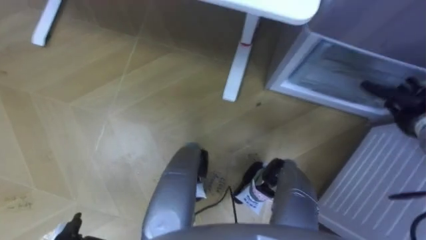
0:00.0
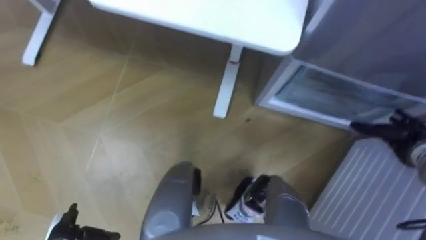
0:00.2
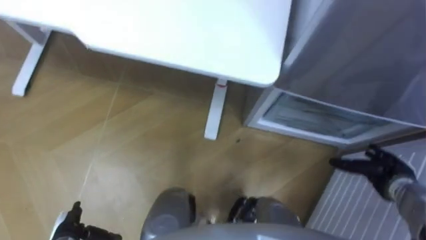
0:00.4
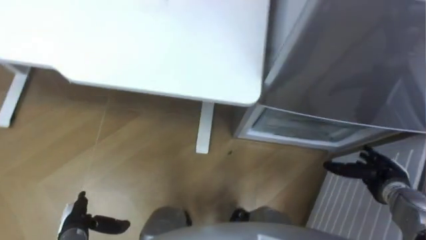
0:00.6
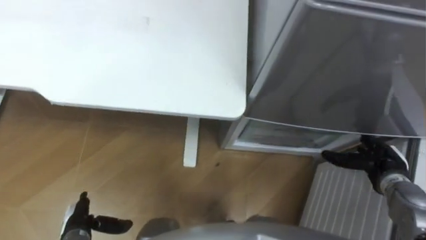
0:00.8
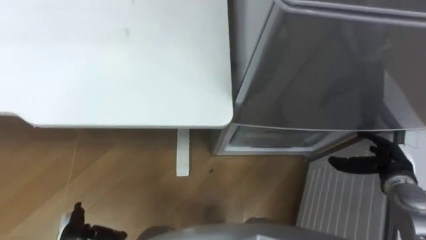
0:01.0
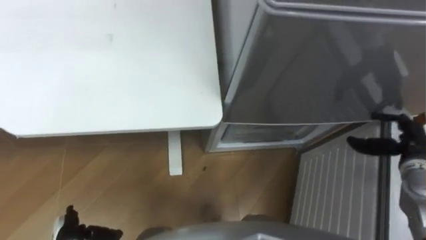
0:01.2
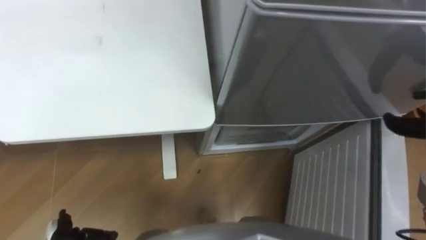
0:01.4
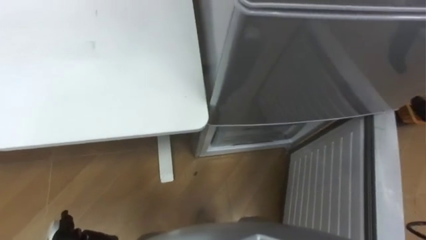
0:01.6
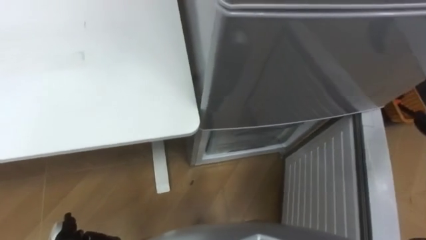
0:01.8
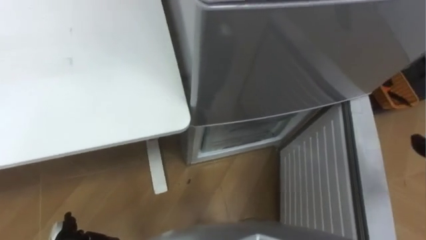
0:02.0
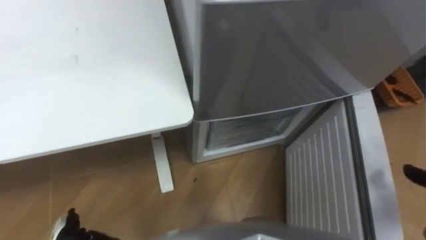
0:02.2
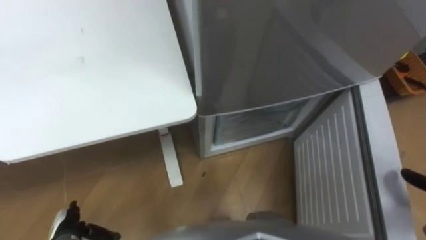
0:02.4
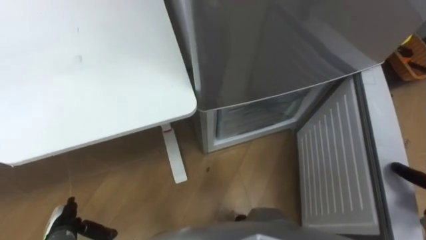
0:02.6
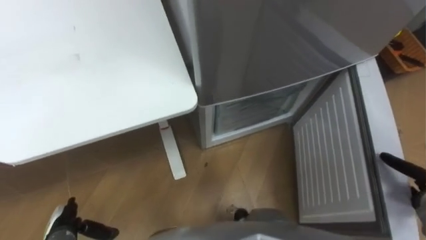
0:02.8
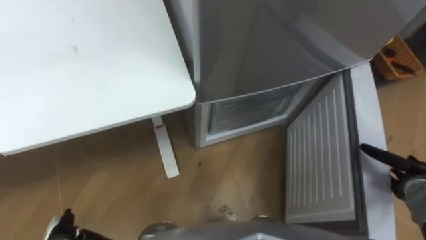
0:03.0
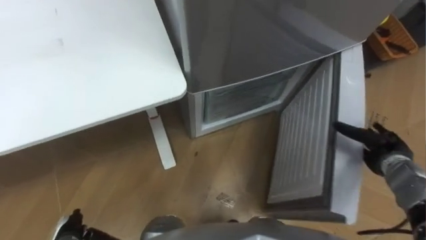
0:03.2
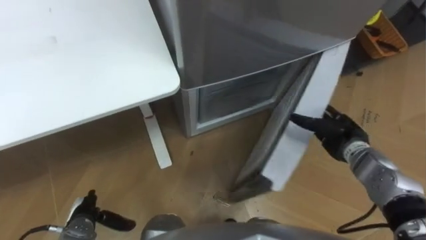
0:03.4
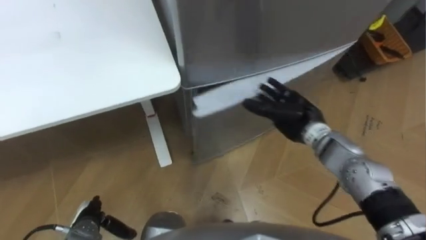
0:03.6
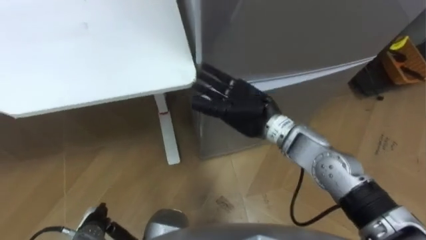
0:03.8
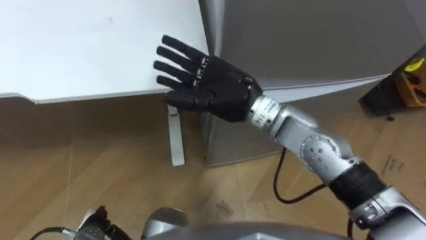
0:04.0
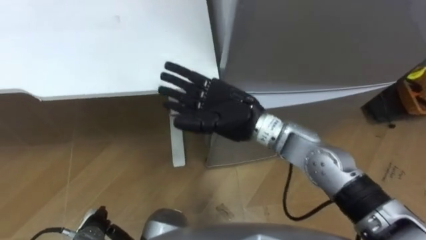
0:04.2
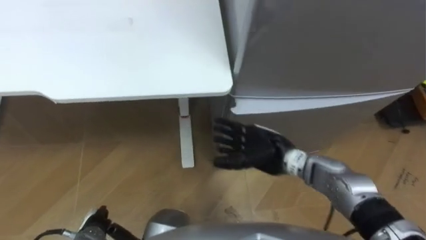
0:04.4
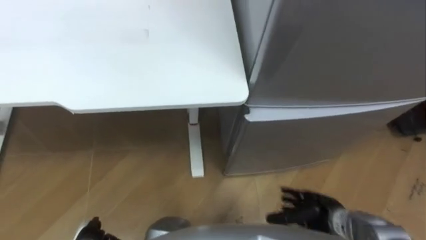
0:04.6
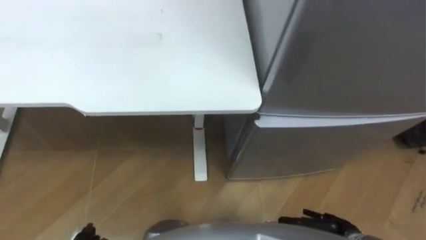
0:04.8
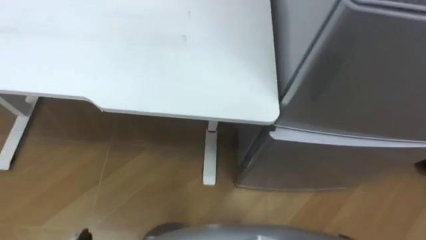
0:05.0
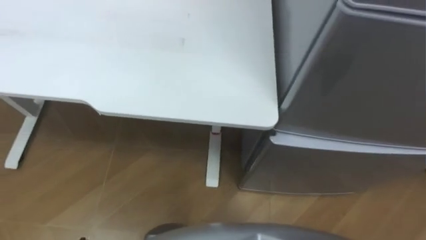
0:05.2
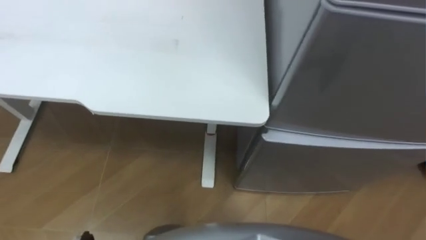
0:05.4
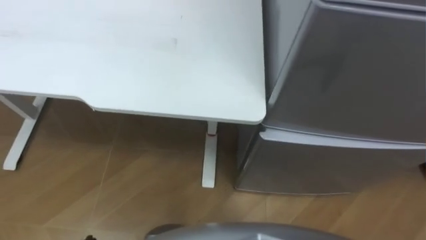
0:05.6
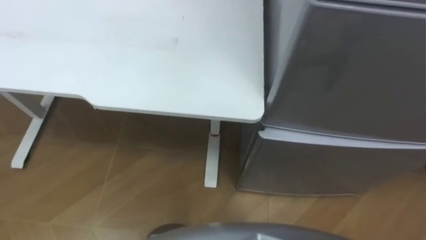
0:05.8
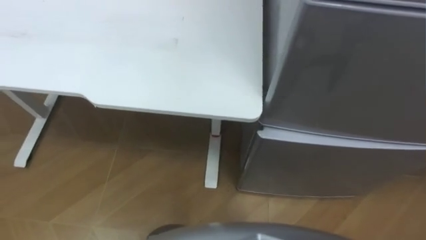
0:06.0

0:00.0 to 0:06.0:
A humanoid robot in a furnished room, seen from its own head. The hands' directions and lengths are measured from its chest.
Task of the whole recording: Place the drink on the table on the bottom shelf of the refrigerator, then close the drawer and the refrigerator door.
0:03.0 to 0:04.4: The right hand shifts some 35 cm to the left. The left hand is displaced to the right by approximately 5 cm.

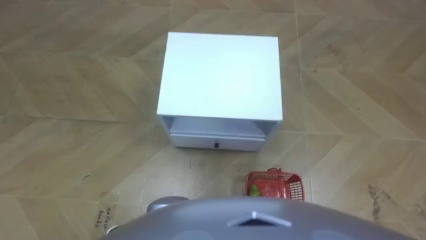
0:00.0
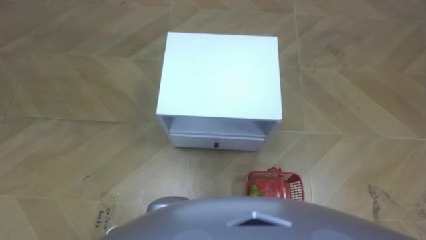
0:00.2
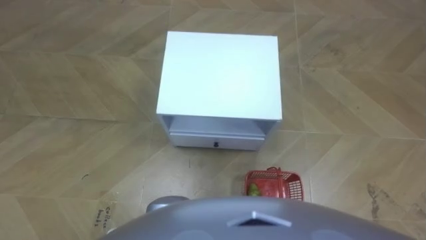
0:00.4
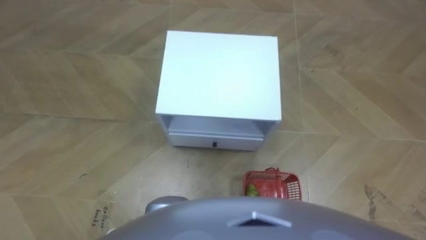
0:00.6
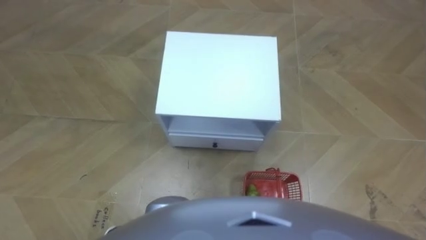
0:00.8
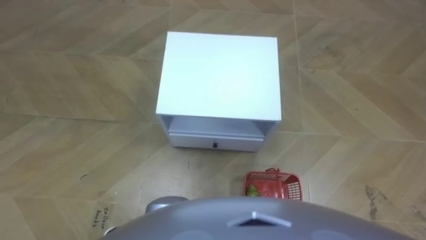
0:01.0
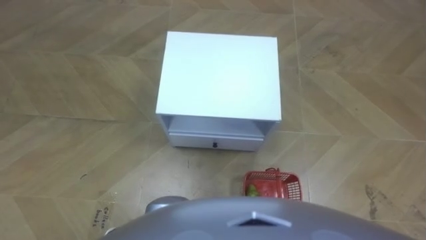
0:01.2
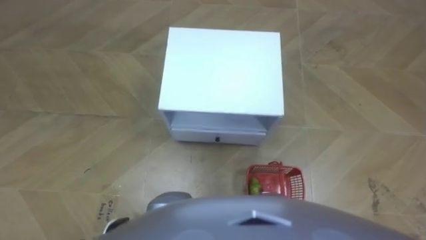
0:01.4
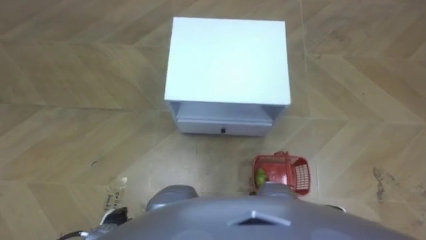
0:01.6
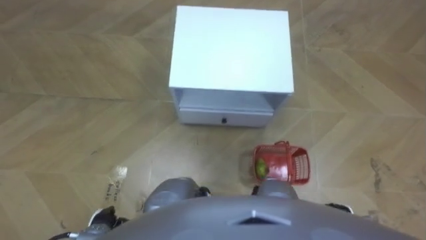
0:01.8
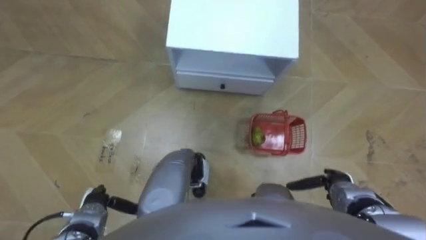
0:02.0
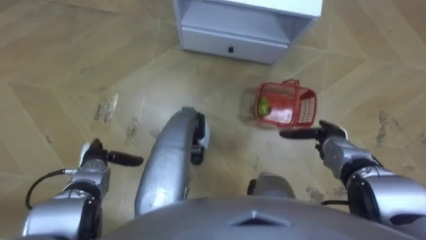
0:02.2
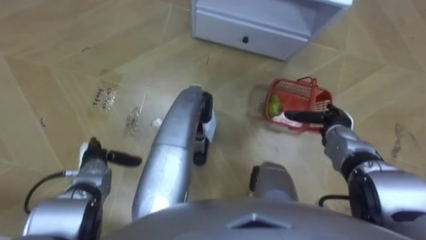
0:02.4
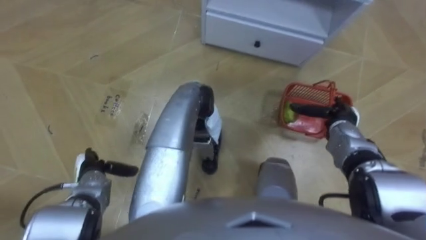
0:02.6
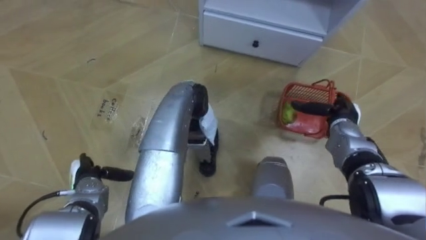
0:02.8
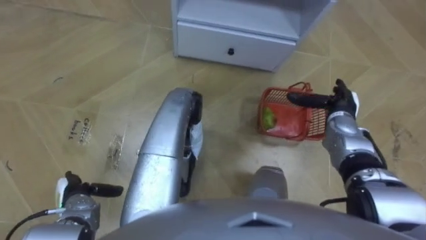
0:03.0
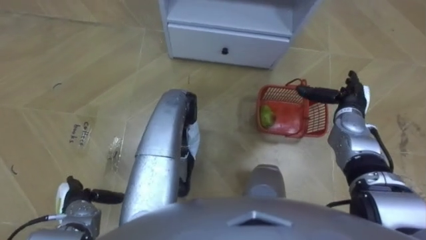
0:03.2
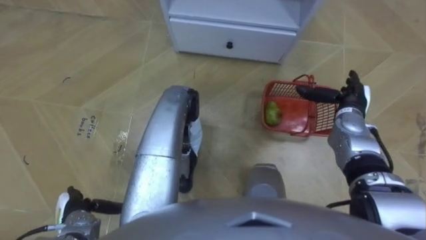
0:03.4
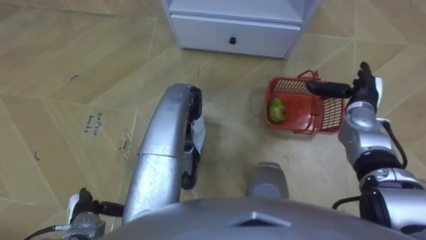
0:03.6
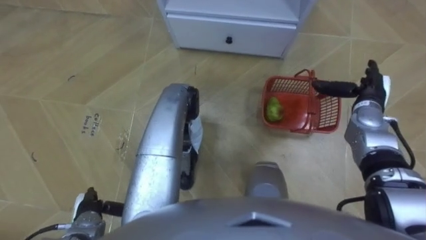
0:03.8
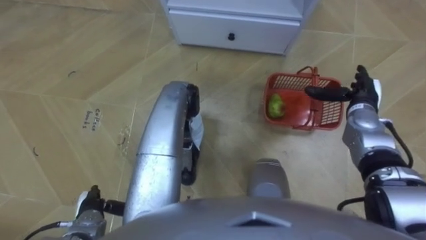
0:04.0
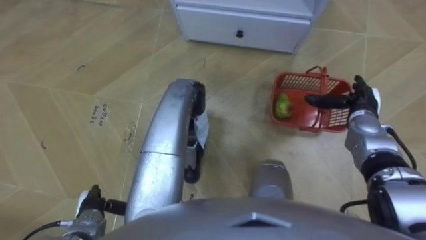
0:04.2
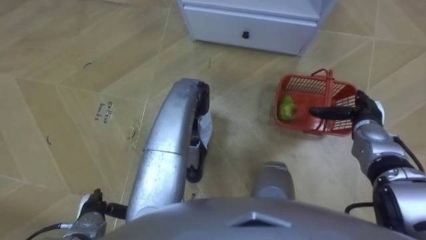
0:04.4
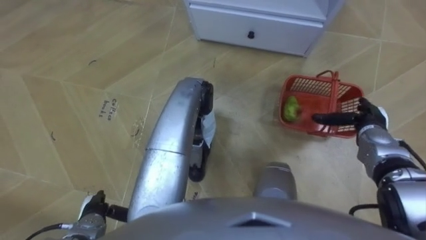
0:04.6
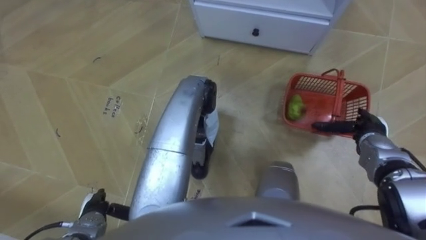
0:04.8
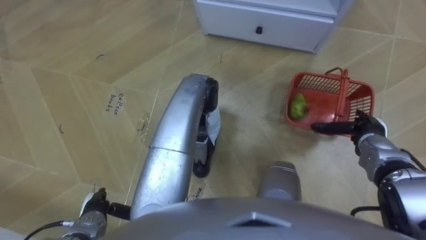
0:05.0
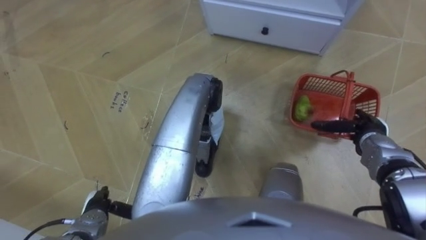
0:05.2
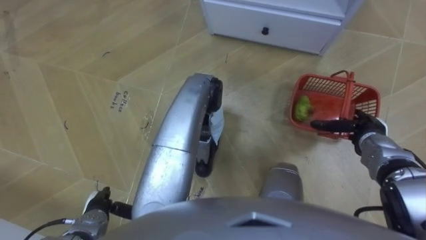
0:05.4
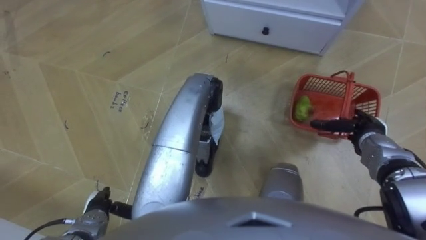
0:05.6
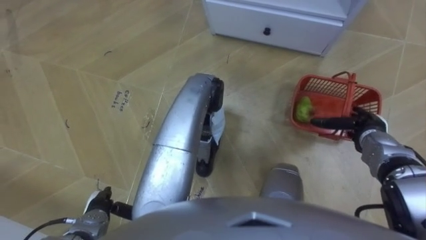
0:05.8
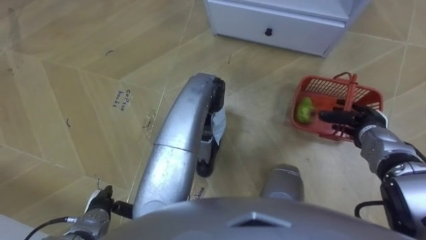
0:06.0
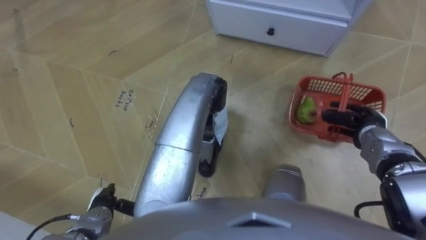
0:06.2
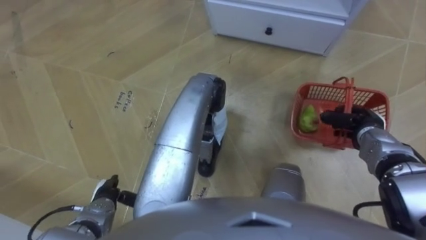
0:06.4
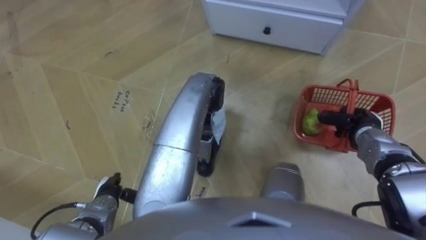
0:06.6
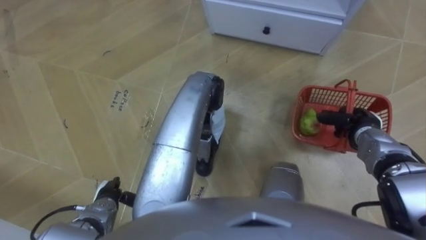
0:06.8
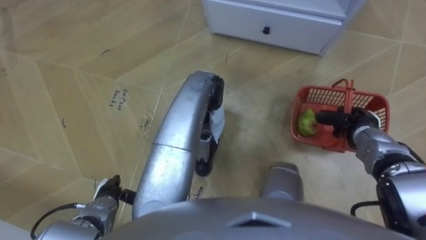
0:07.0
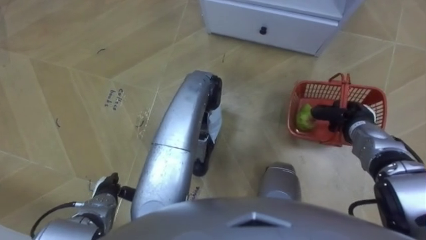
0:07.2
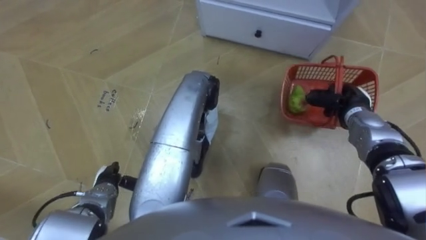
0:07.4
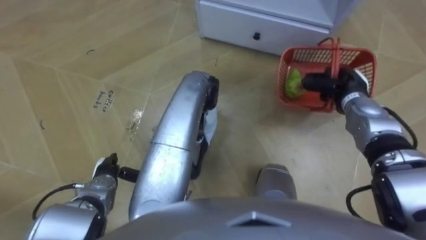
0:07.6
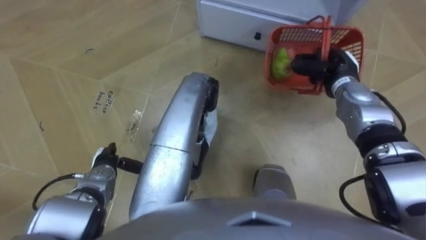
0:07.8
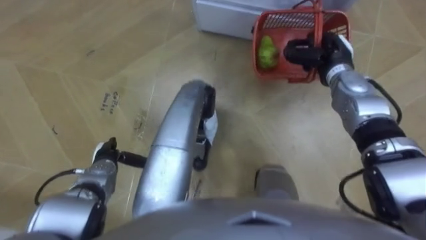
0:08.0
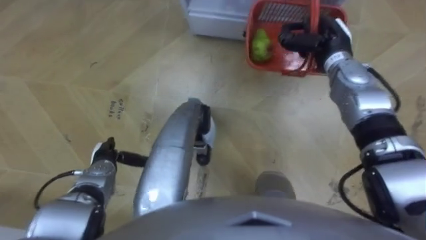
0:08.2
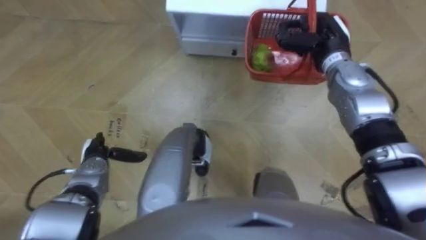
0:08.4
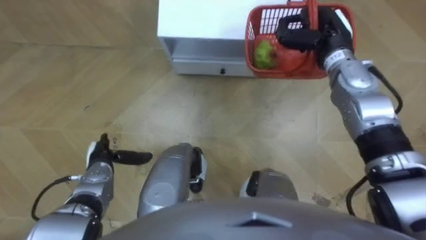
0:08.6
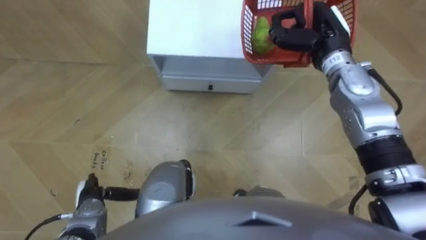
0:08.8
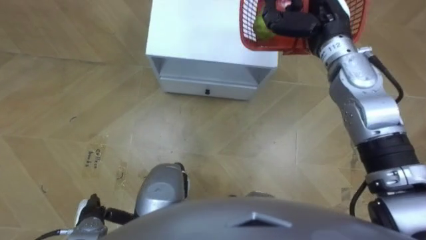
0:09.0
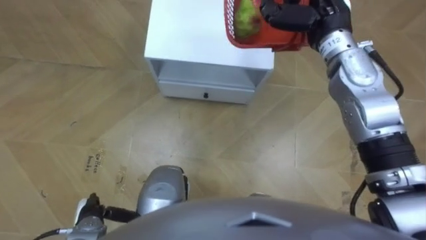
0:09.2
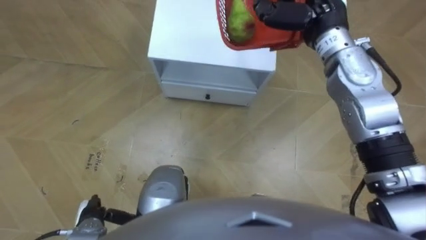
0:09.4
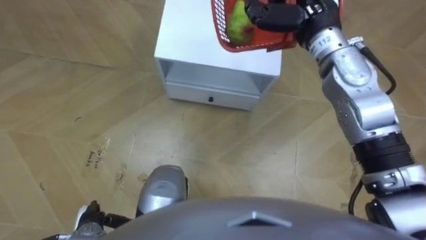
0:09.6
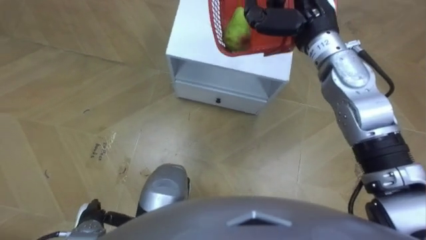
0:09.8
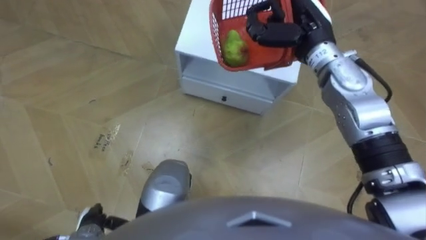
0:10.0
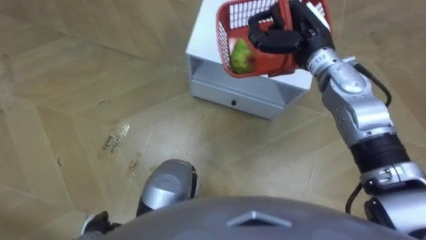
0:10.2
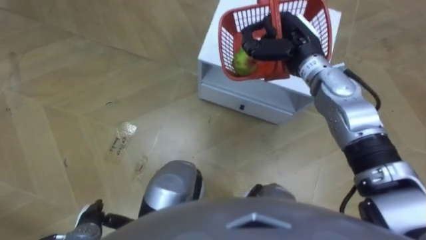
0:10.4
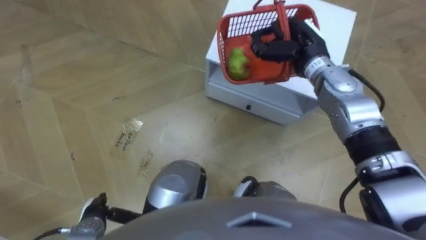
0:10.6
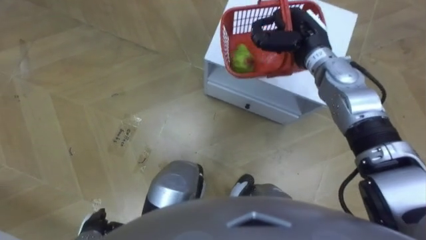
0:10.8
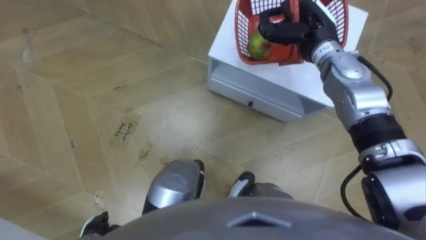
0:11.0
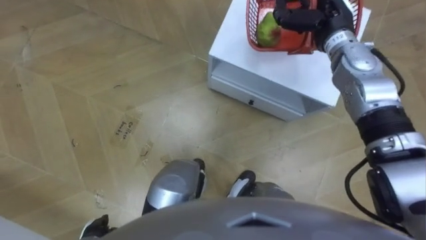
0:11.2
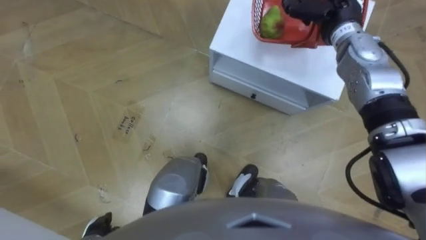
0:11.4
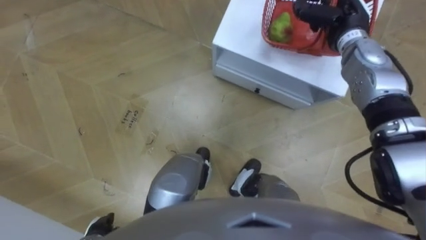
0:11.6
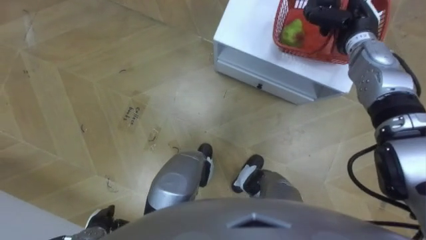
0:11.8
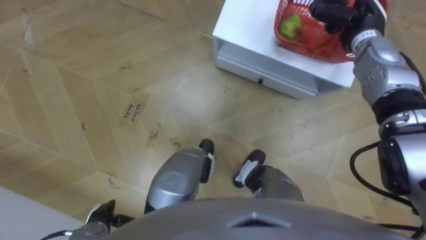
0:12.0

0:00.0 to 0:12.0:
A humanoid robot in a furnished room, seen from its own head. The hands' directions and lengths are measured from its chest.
Task of the whole recording: Pick up the fruit basket from the floor and place it on the cabinet.
0:01.6 to 0:03.0: The left hand is displaced to the left and forward by about 10 cm. The right hand travels forward by roughly 25 cm.
0:03.0 to 0:04.4: The left hand ends up about 5 cm from where it was. Meanwhile the right hand goes roughly 5 cm to the right.
0:04.4 to 0:06.0: The right hand closes up.
0:06.0 to 0:07.6: Both hands travel together forward, roughly 10 cm. The right hand closes up.
0:07.6 to 0:09.0: The robot faces about 15 degrees further to its right. The right hand is displaced upward and to the left by about 20 cm. The left hand goes some 10 cm backward.
0:09.0 to 0:10.4: The right hand travels downward by approximately 5 cm.
0:10.4 to 0:12.0: The right hand goes approximately 10 cm to the right.
